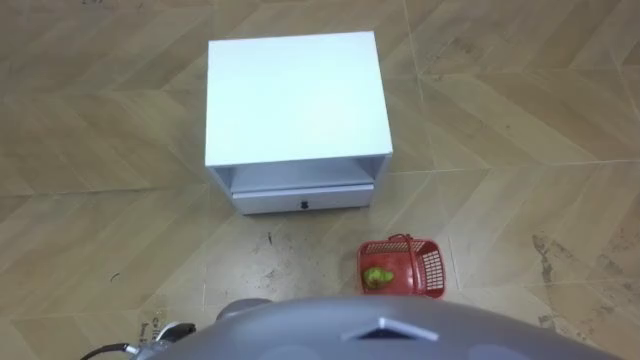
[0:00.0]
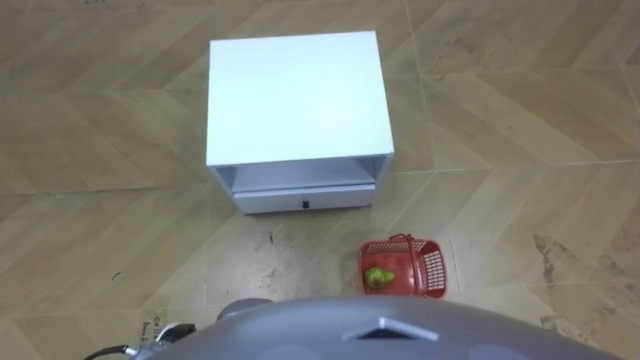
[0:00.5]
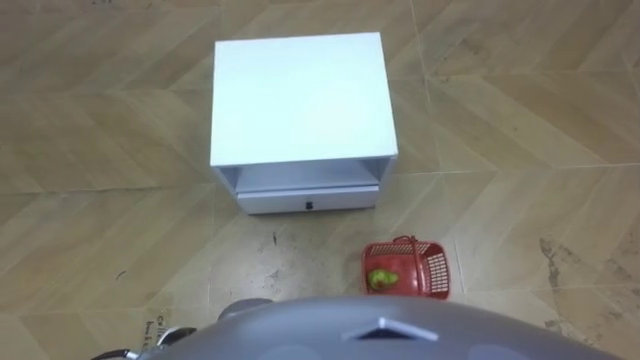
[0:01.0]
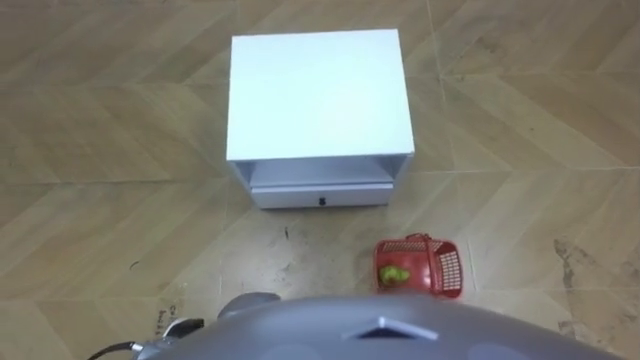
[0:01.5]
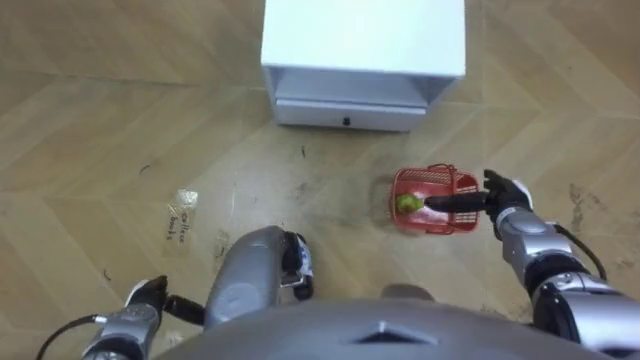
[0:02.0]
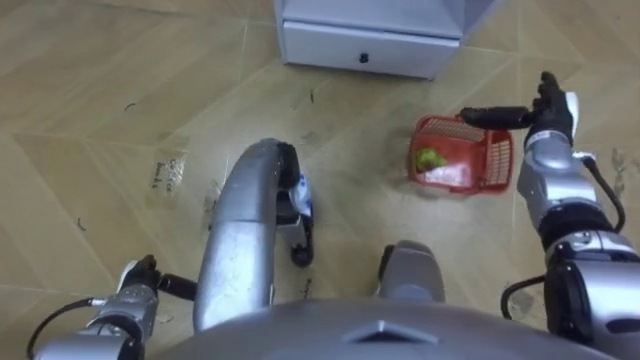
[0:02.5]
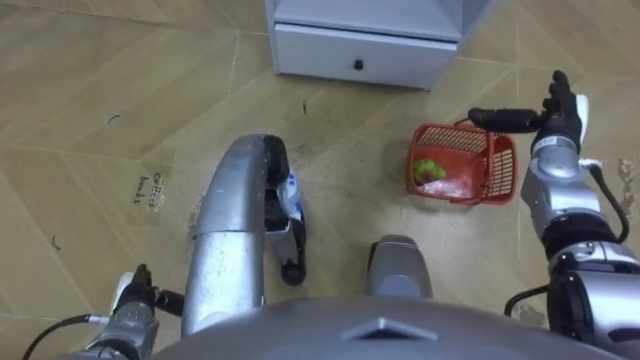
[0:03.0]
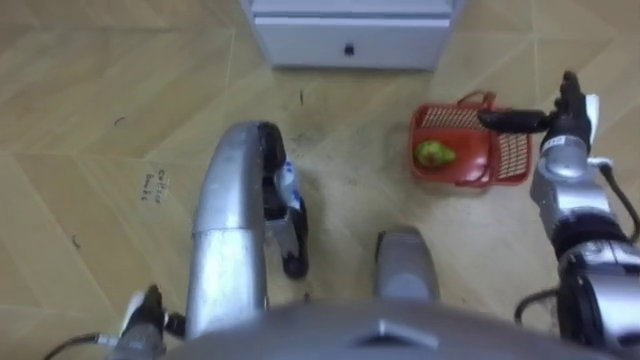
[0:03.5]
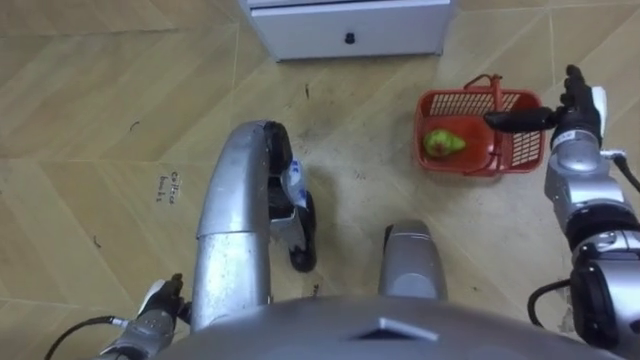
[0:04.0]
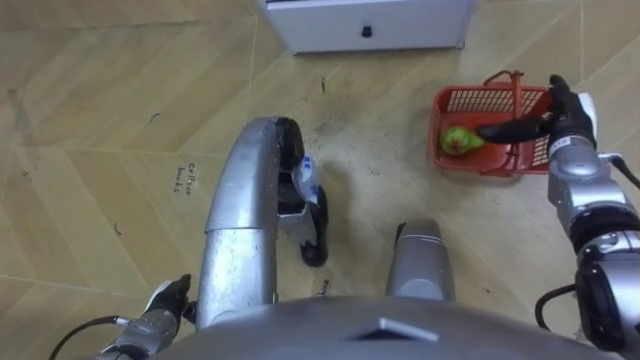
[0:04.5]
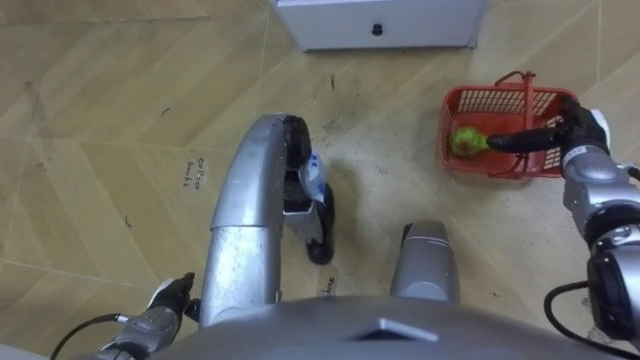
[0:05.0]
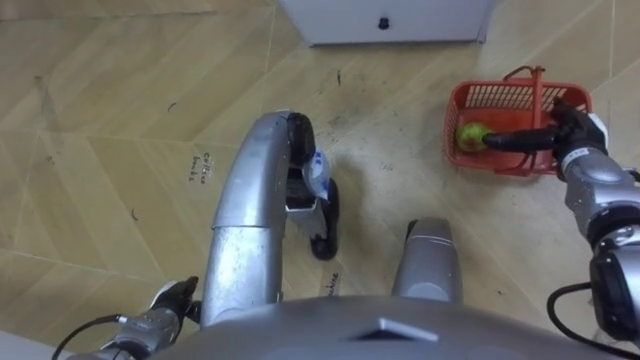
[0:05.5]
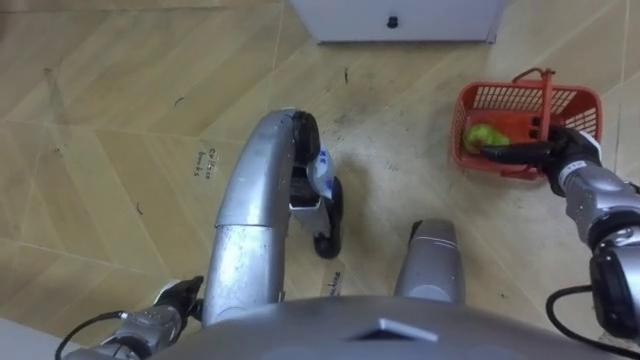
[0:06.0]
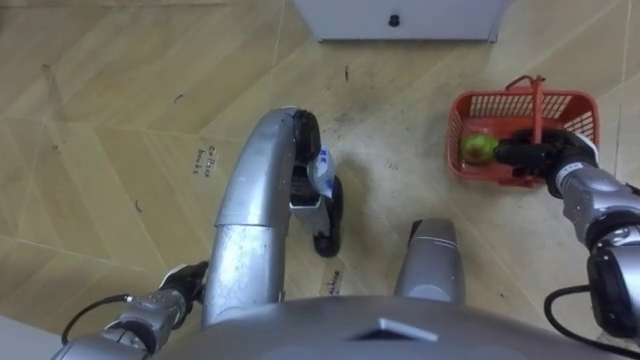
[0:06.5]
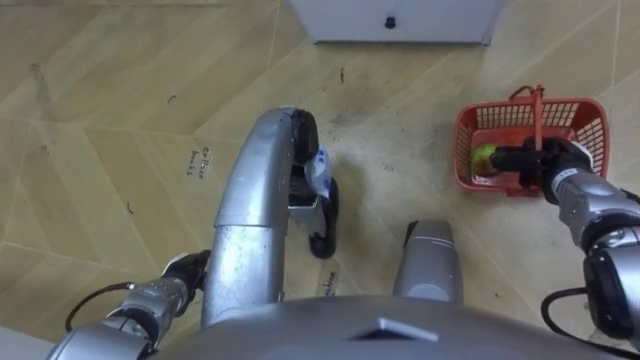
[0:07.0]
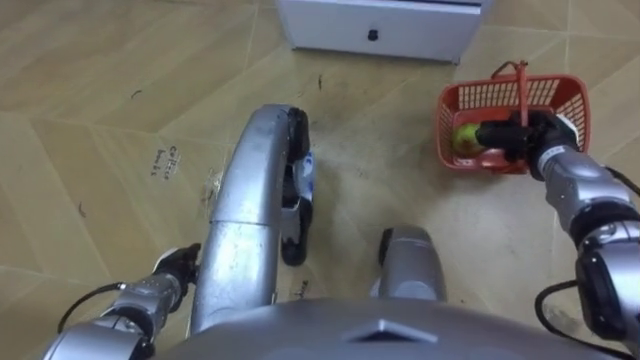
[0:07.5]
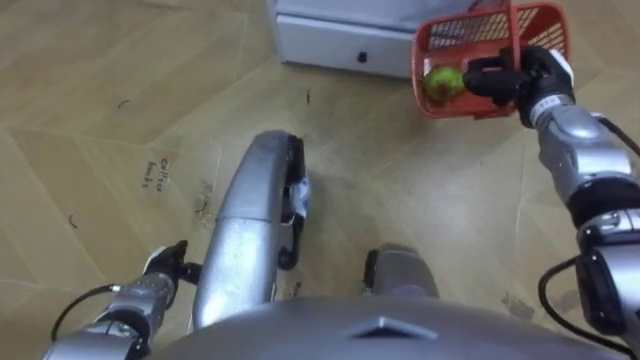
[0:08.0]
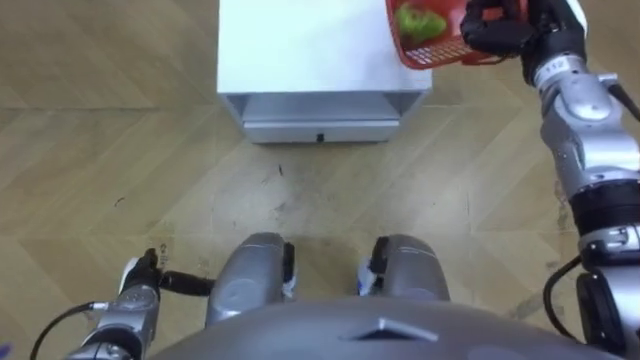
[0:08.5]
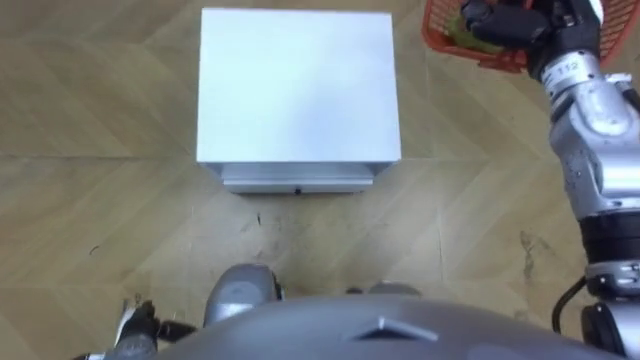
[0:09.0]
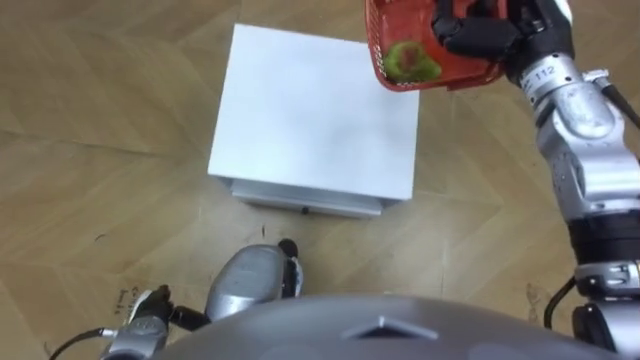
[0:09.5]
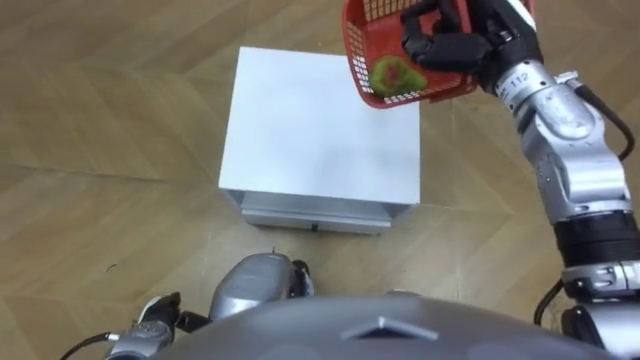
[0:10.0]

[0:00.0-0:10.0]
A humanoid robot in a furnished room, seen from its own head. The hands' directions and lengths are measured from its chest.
Task of the whole recording: Pick up the fruit basket from the floor and place it on the cabinet.
0:02.0 to 0:04.0: The right hand moves forward, upward and to the right, about 15 cm.
0:04.0 to 0:06.0: The right hand ends up roughly 5 cm from where it was.
0:06.0 to 0:08.0: The left hand shifts roughly 5 cm forward; the right hand moves forward, upward and to the left, about 10 cm, and closes.
0:08.0 to 0:10.0: The right hand shifts some 15 cm upward and to the left; the left hand is displaced backward by approximately 10 cm.

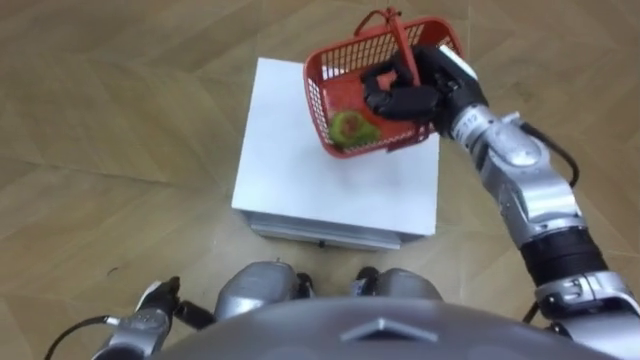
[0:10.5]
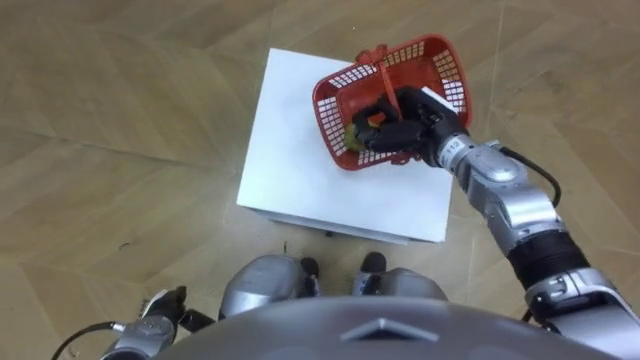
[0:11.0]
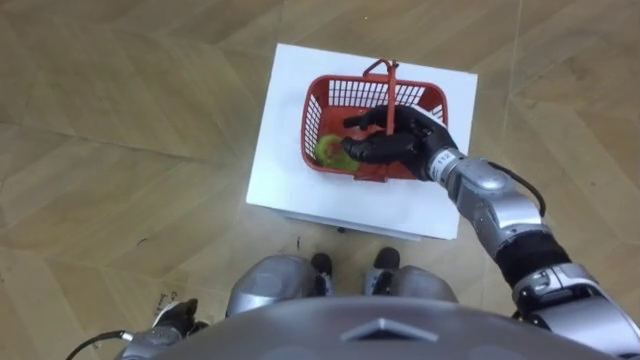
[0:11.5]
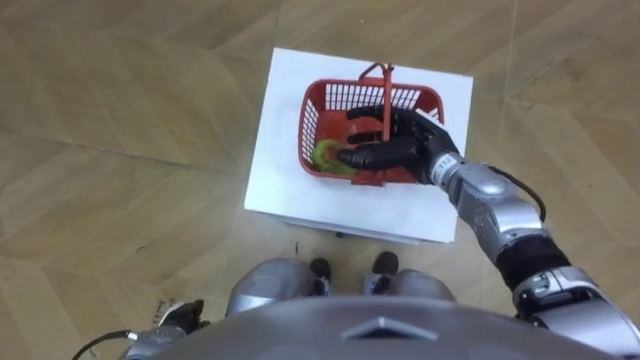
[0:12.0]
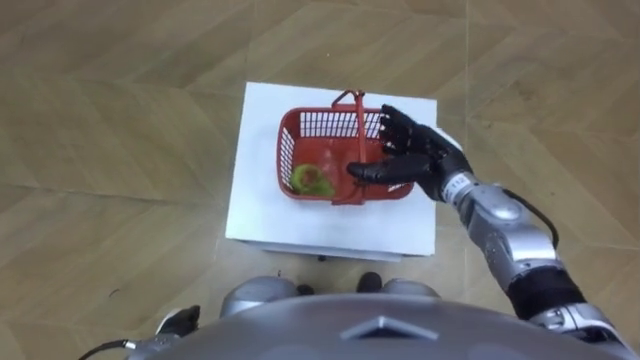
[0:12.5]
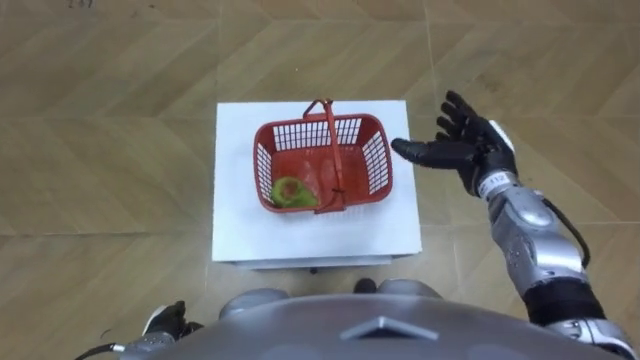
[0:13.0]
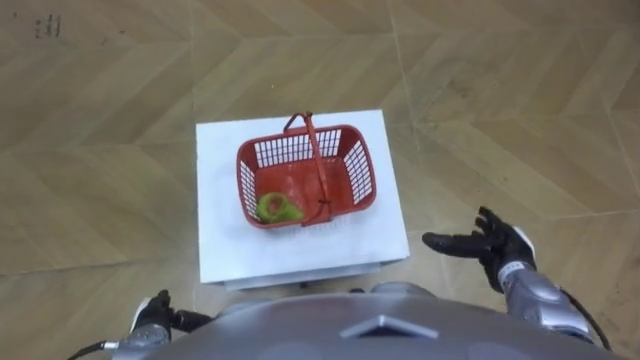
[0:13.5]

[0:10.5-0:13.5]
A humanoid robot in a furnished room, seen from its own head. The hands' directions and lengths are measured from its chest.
Task of the whole recording: Pick up the fruit basket from the floor and place it on the cabinet.
0:10.5 to 0:12.0: The right hand is displaced downward by approximately 10 cm, and opens its fingers.
0:12.0 to 0:13.5: The right hand is displaced to the right, backward and downward by some 20 cm.

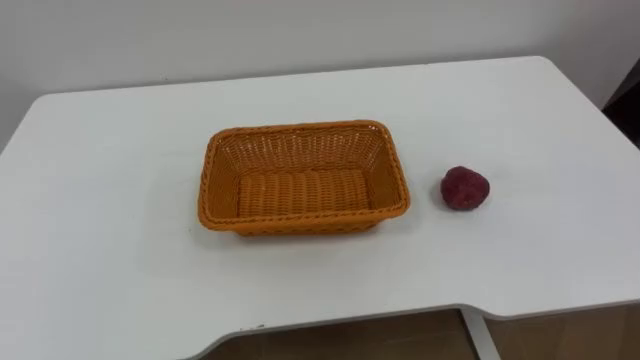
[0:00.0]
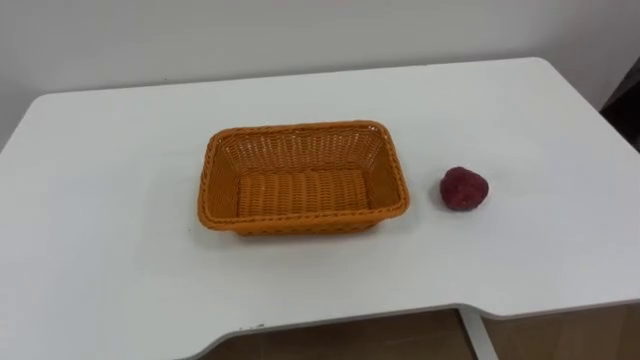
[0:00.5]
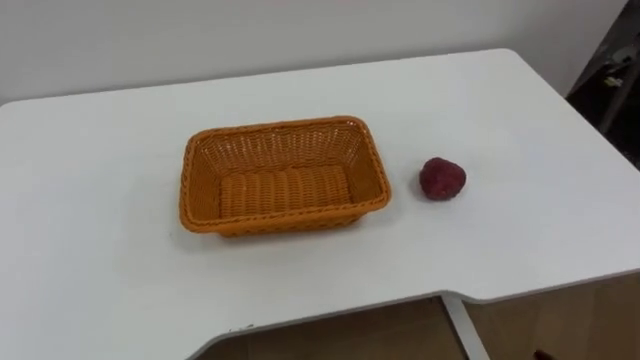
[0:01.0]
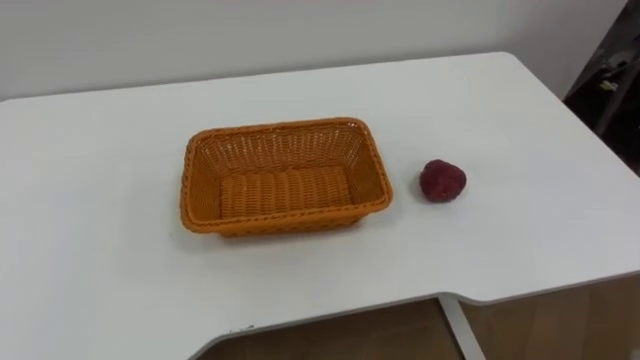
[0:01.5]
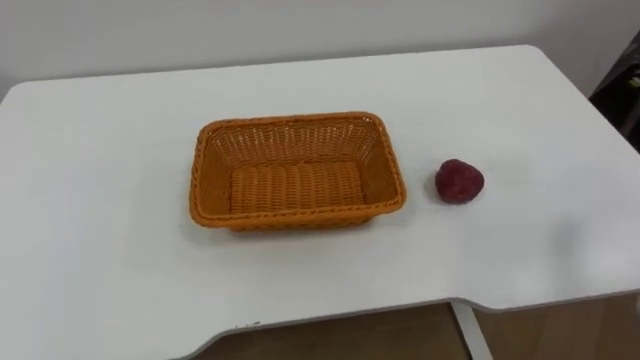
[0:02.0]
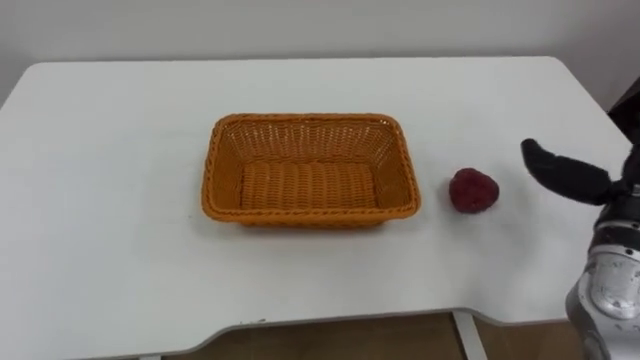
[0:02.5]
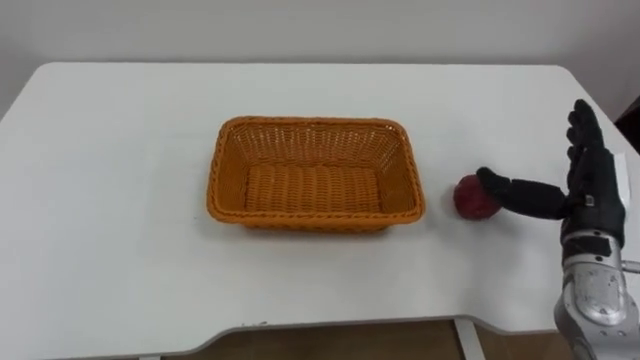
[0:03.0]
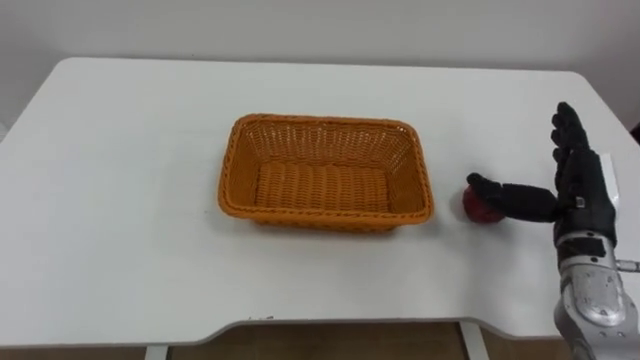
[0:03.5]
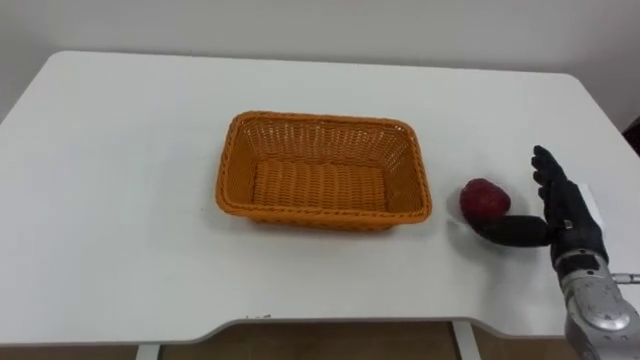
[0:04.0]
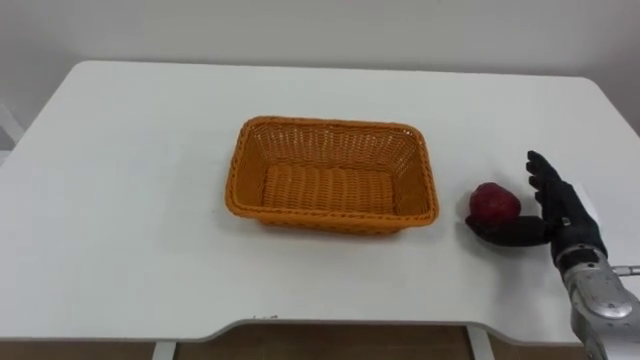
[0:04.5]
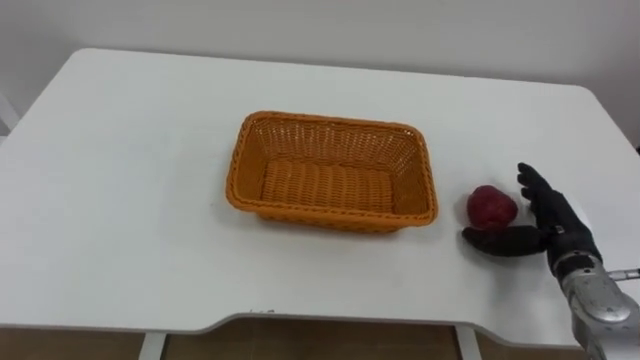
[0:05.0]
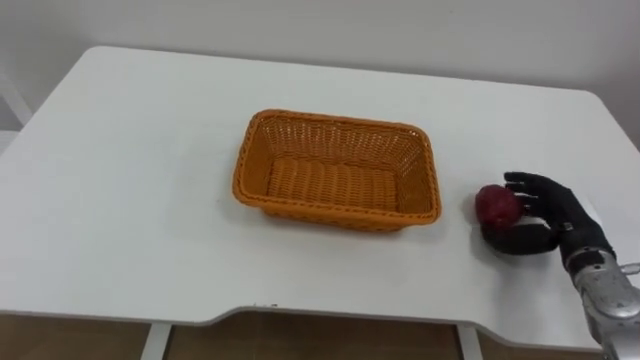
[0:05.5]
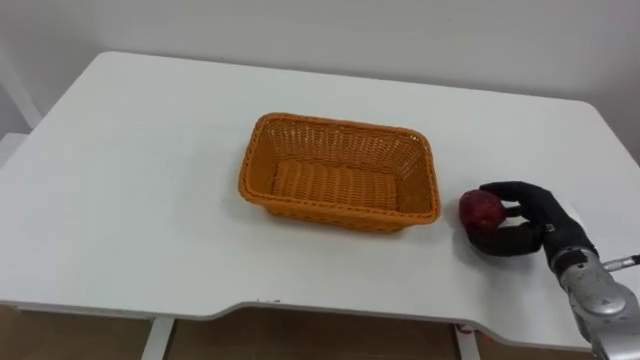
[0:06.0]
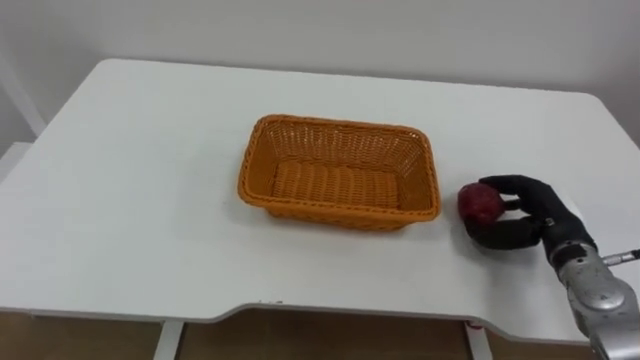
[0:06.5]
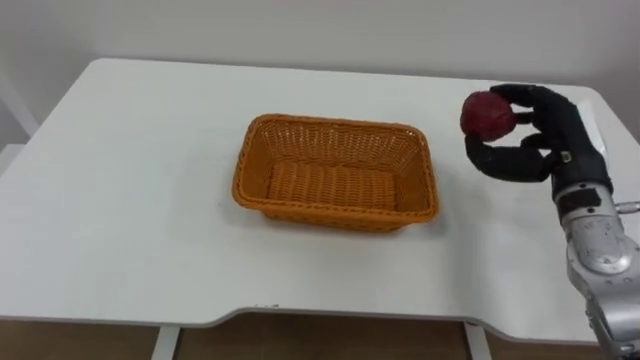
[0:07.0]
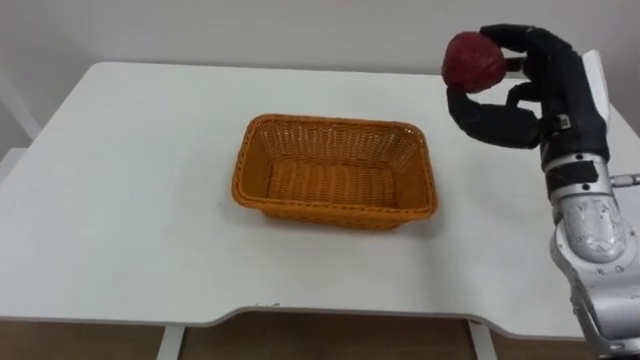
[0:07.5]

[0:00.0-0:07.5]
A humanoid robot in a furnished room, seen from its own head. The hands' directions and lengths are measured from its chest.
Task of the whole recording: Pick the apple and place it in the box.
0:05.5 to 0:07.5: The right hand shifts about 15 cm upward.
